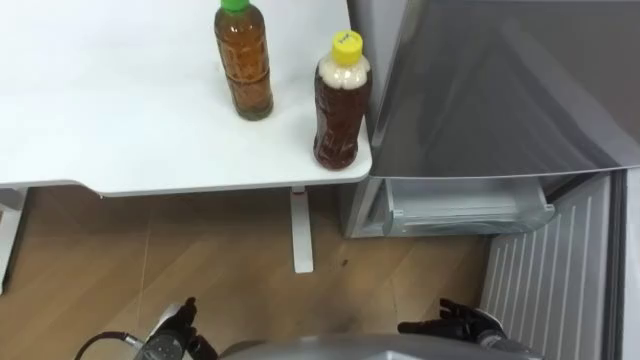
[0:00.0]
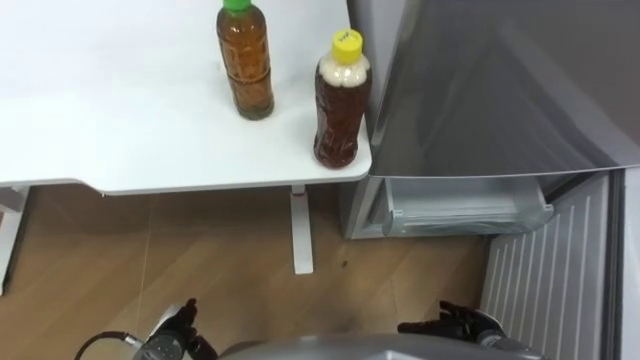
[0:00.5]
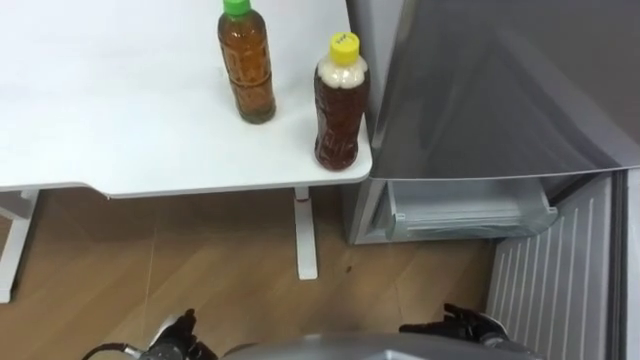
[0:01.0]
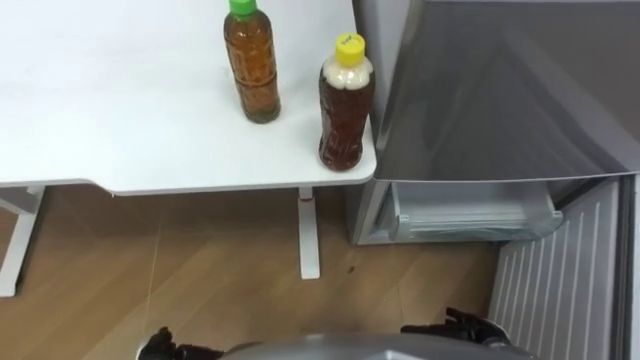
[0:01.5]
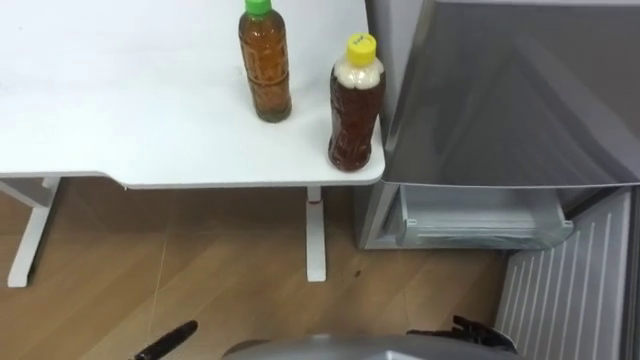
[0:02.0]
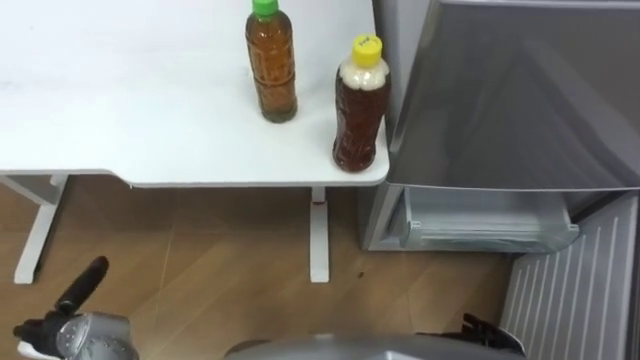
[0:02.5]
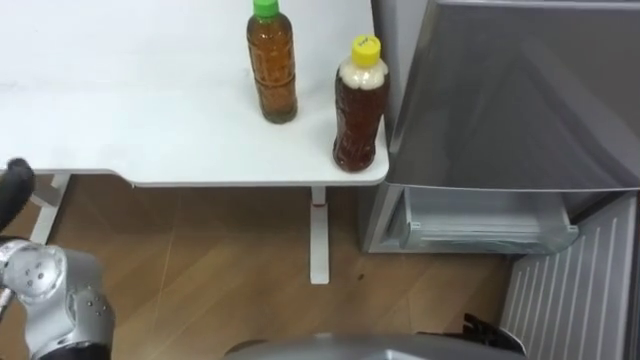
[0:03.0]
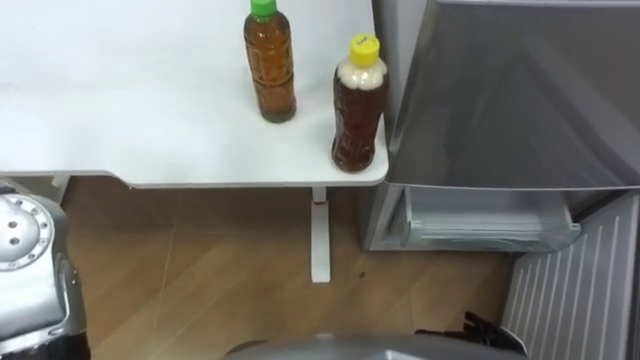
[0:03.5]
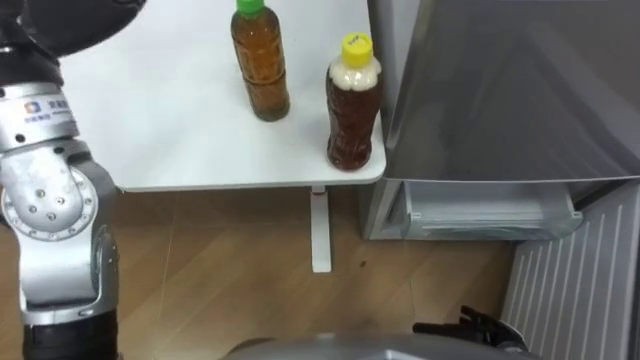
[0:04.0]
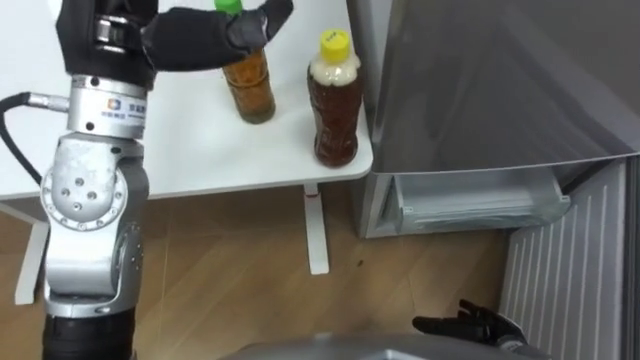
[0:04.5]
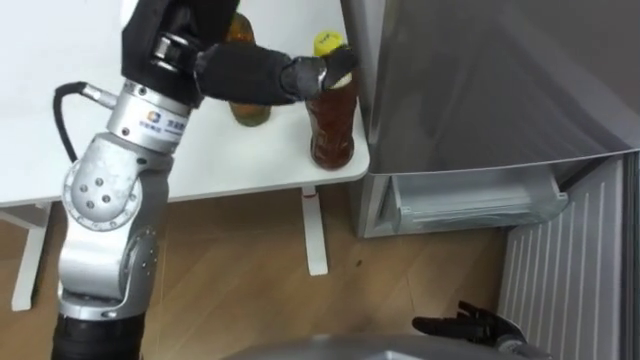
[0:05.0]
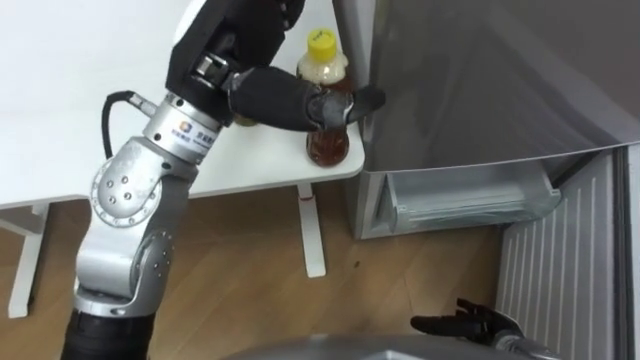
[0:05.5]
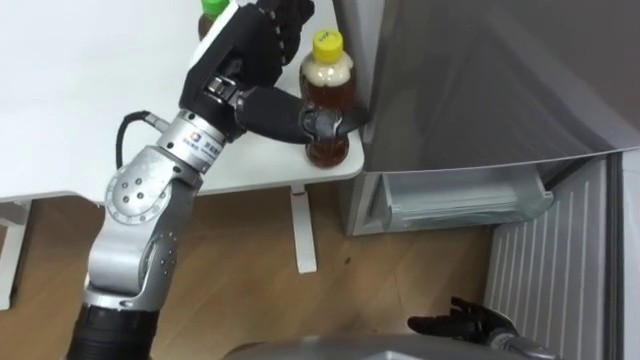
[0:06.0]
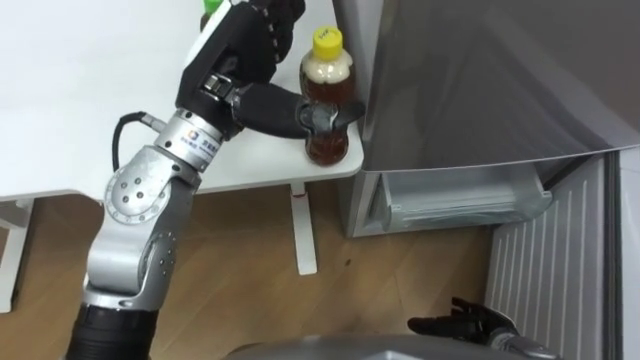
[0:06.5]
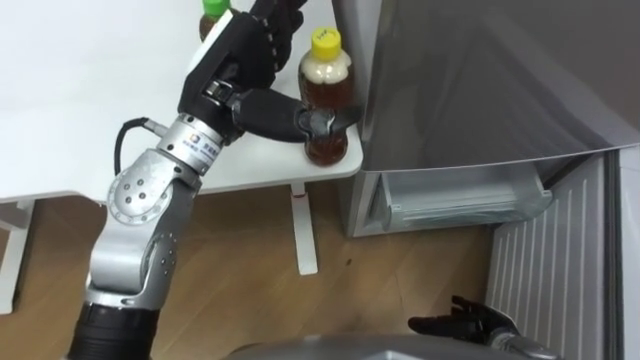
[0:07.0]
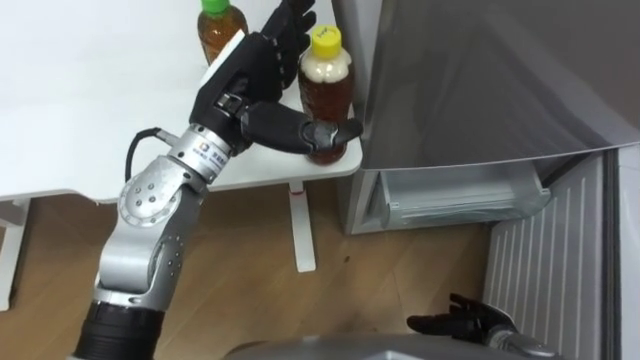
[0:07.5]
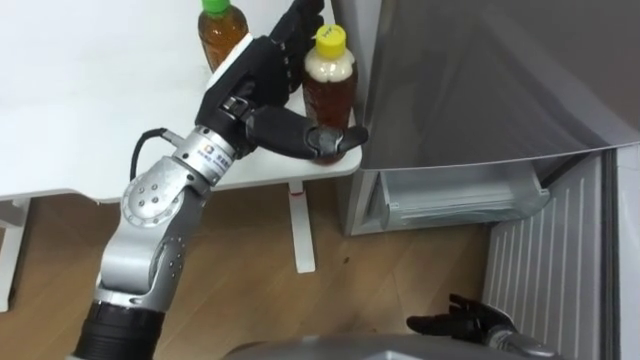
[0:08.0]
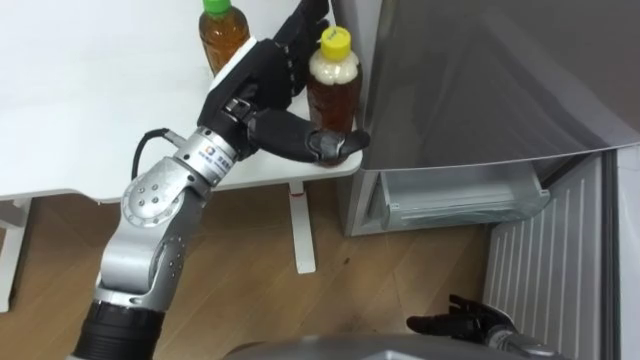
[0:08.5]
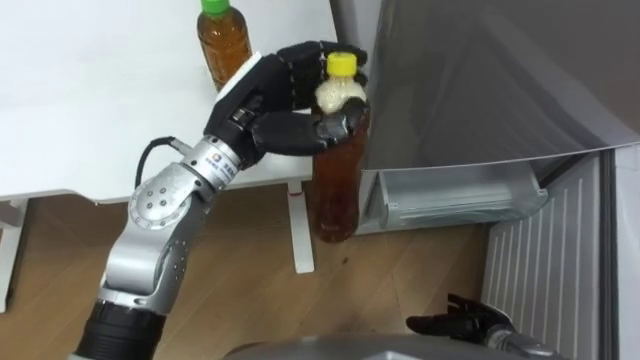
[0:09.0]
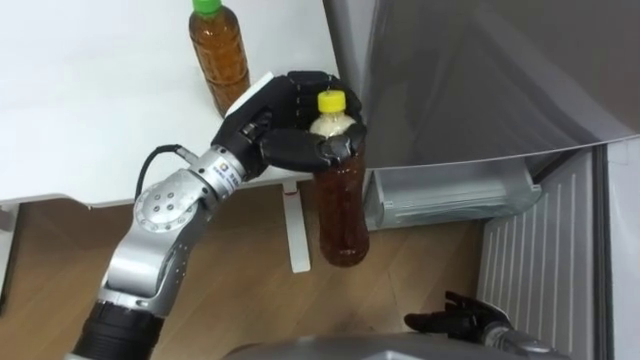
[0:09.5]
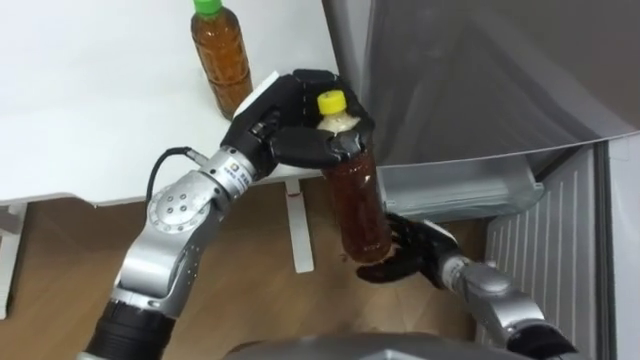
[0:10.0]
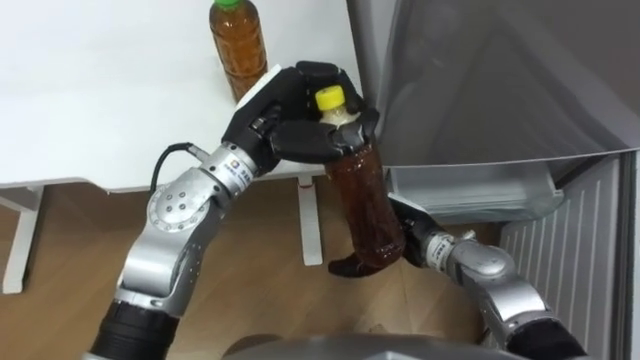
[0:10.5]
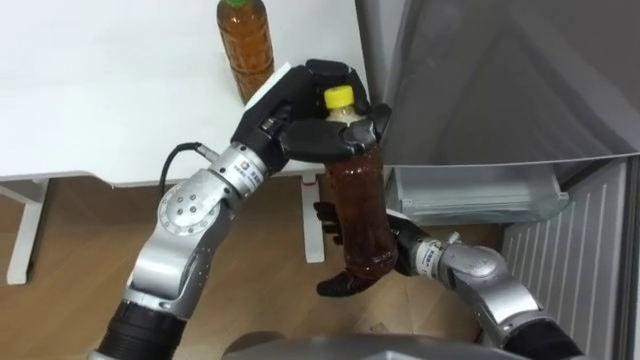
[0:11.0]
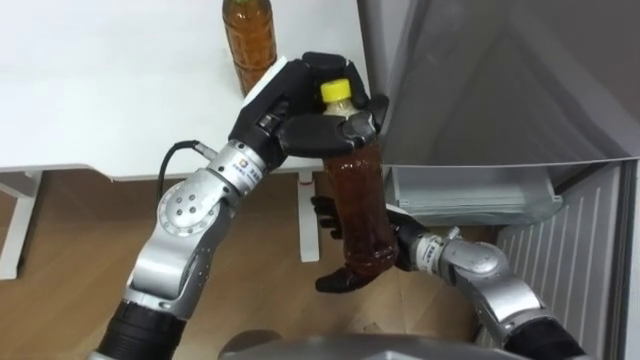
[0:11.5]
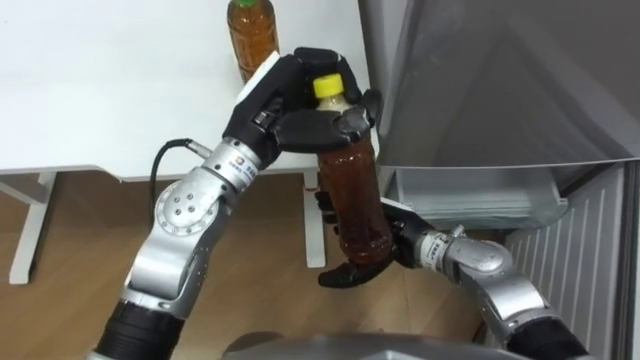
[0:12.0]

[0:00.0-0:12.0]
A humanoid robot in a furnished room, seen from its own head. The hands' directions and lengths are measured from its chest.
Task of the whole recording: Place the drink on the table on the bottom shelf of the refrigerator, then close the drawer and the refrigerator door.
0:06.0 to 0:08.0: The hands make only small movements.
0:08.0 to 0:10.0: The right hand is displaced forward, to the left and upward by roughly 15 cm, while the left hand closes up.
0:10.0 to 0:12.0: The right hand travels upward and to the left by roughly 10 cm.

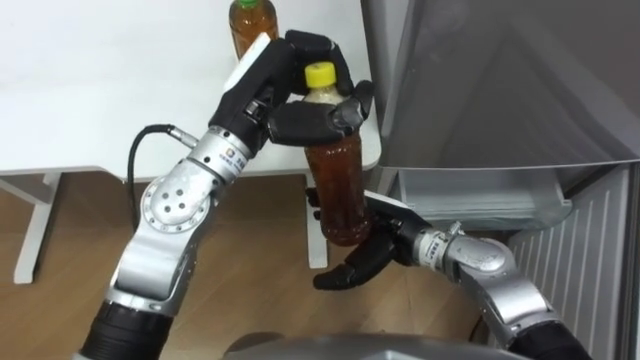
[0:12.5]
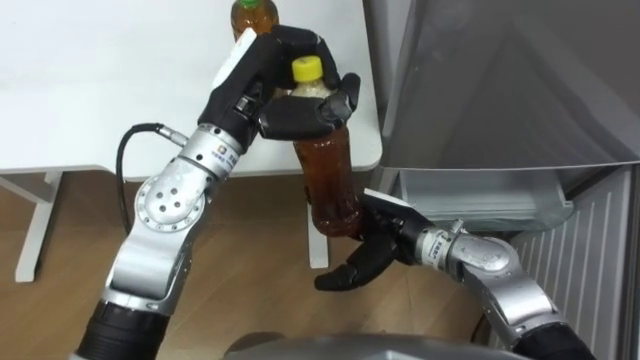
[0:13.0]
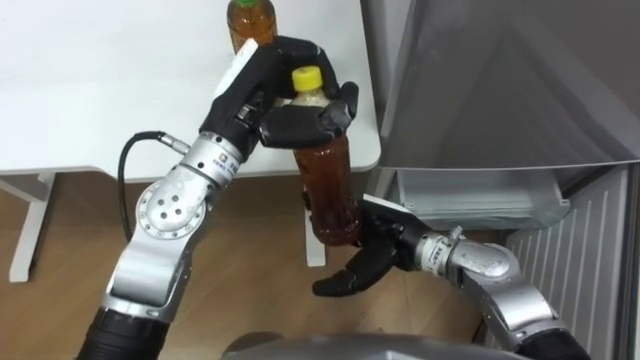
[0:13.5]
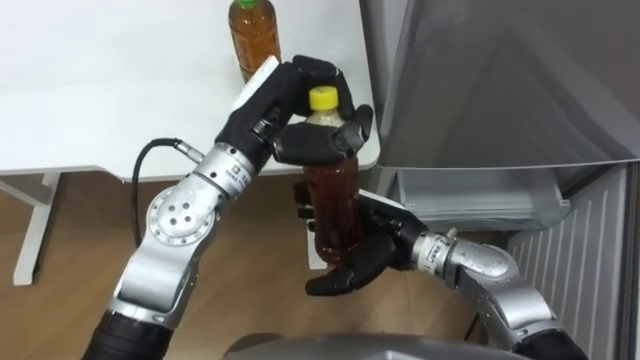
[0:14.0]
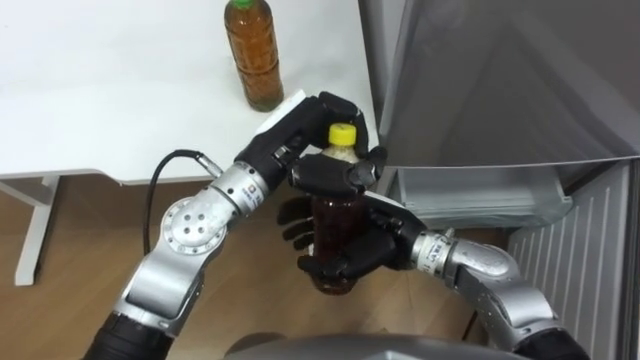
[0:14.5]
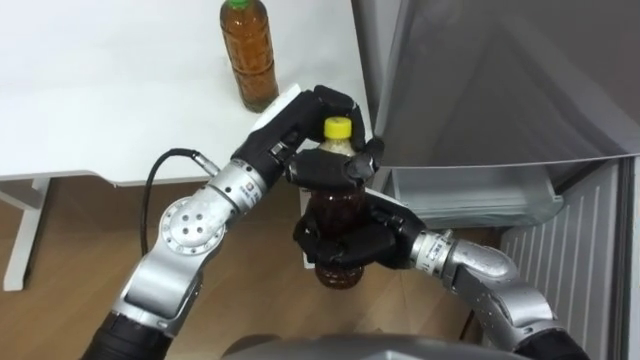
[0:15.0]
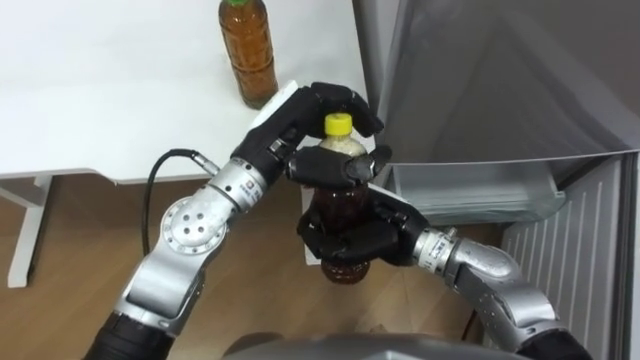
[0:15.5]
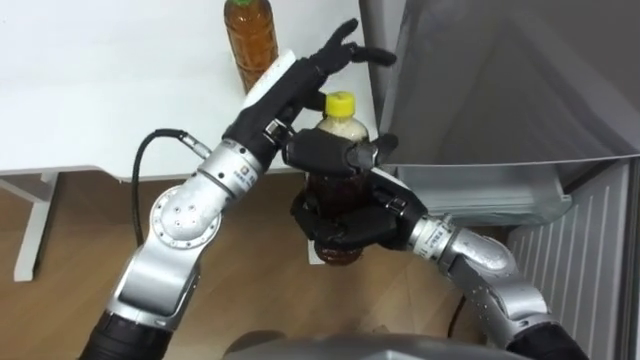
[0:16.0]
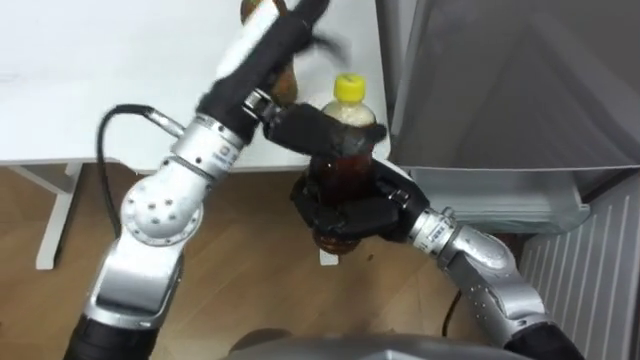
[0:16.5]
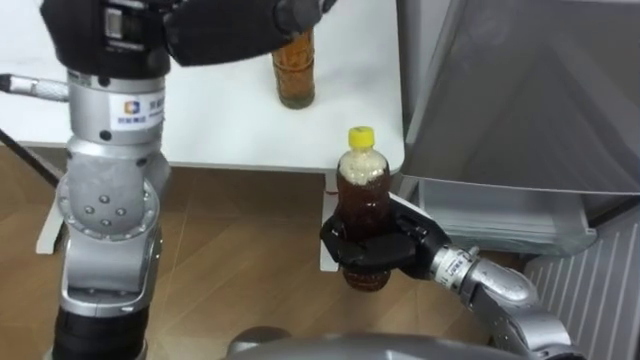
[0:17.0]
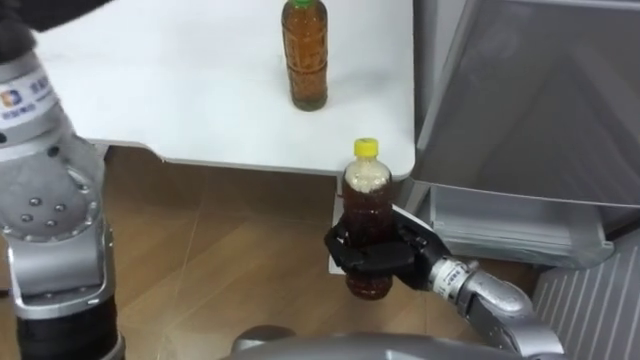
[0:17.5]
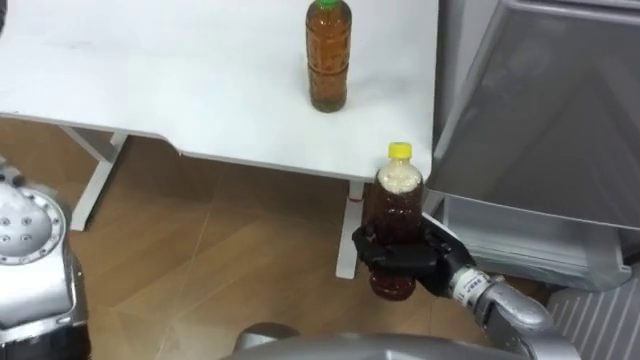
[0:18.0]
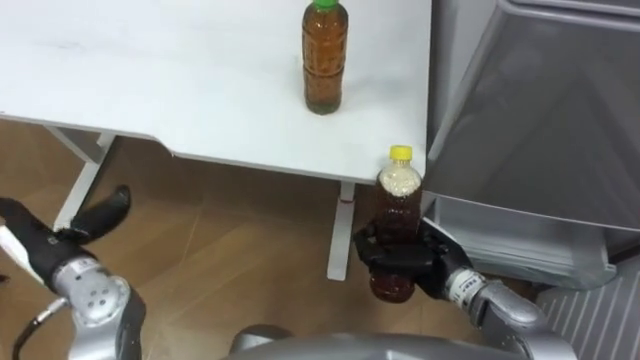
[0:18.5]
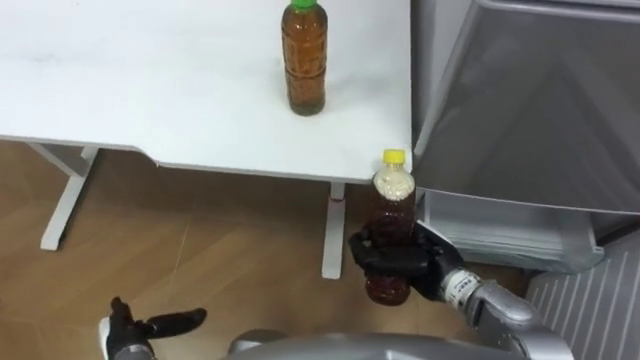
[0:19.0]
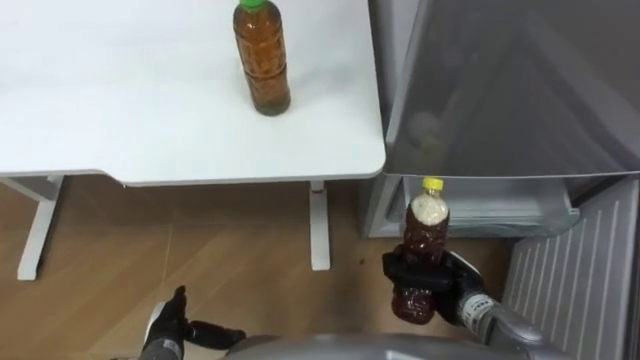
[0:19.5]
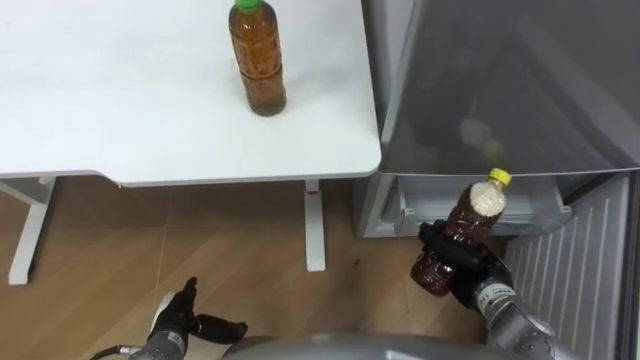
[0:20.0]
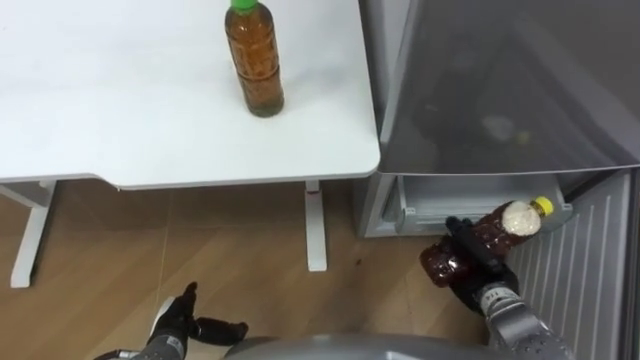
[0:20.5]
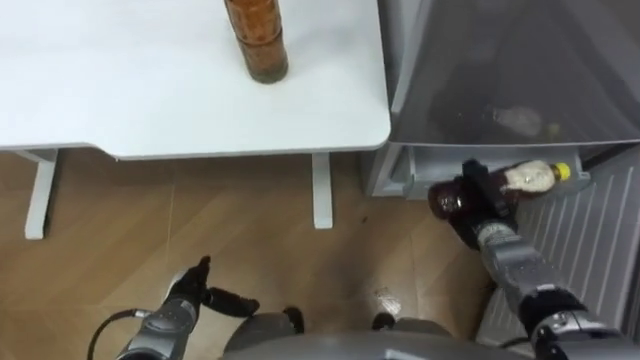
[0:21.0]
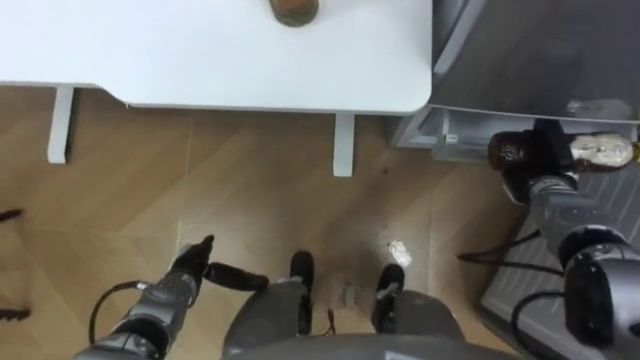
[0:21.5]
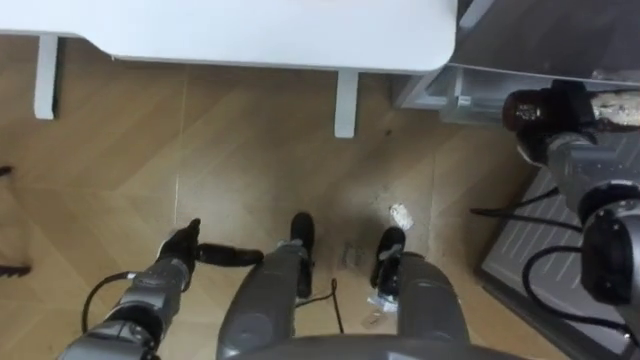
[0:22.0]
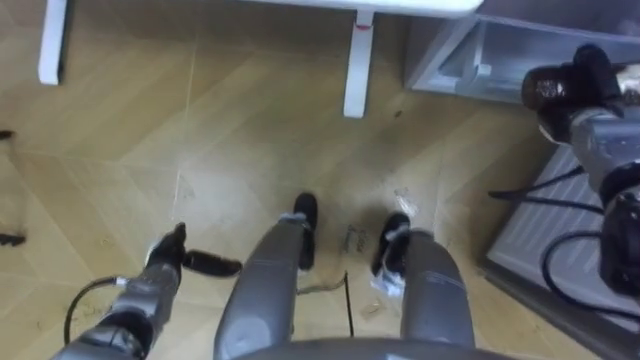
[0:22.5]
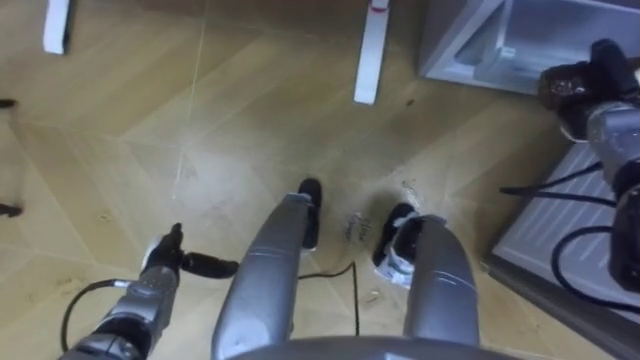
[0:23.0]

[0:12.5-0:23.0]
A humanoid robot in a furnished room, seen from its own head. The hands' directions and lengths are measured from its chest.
Task of the whole recording: Place the drink on the table on the bottom shelf of the refrigerator, then close the drawer and the refrigerator door.
0:12.5 to 0:14.5: The left hand moves roughly 5 cm.
0:14.5 to 0:16.5: The left hand moves upward, roughly 10 cm, and opens. Meanwhile the right hand closes its fingers.
0:16.5 to 0:19.0: The right hand moves downward and to the right, approximately 15 cm.
0:19.0 to 0:21.0: Both hands move to the right and forward, roughly 10 cm.
0:21.0 to 0:23.0: The right hand travels to the right, upward and forward by roughly 20 cm. Meanwhile the left hand changes place by some 5 cm.
